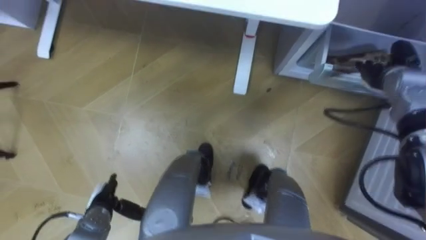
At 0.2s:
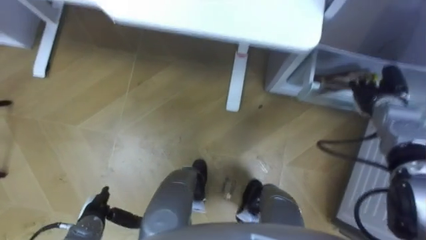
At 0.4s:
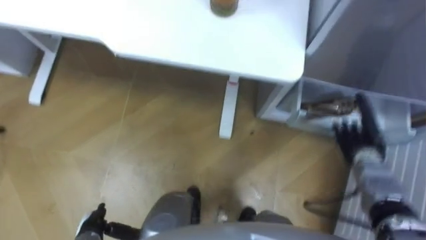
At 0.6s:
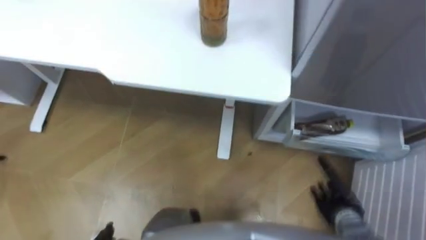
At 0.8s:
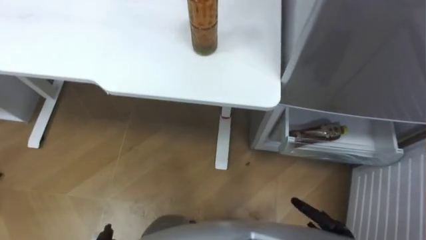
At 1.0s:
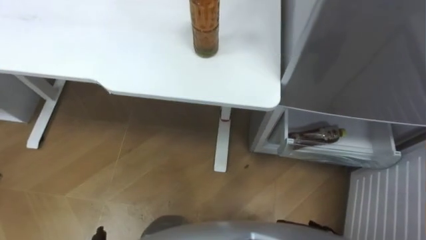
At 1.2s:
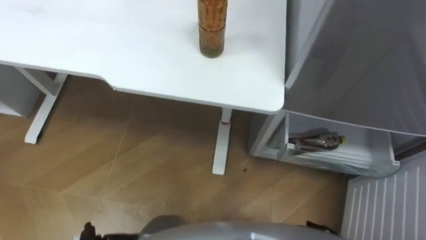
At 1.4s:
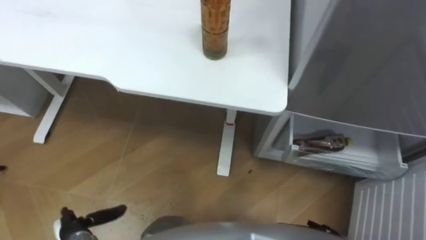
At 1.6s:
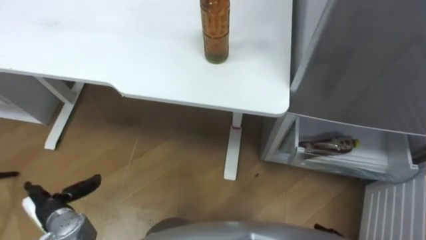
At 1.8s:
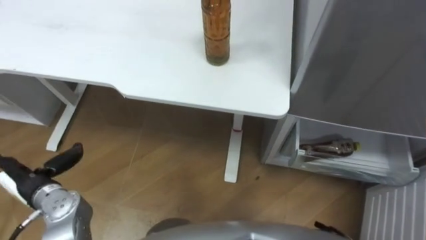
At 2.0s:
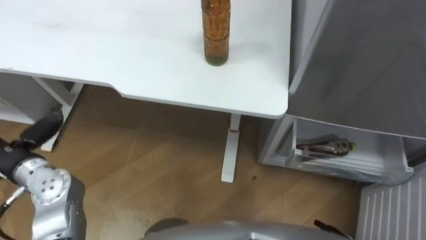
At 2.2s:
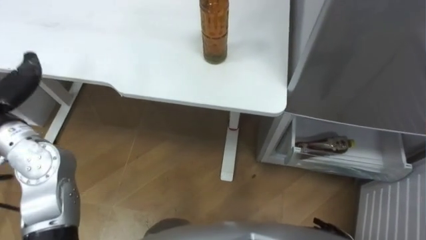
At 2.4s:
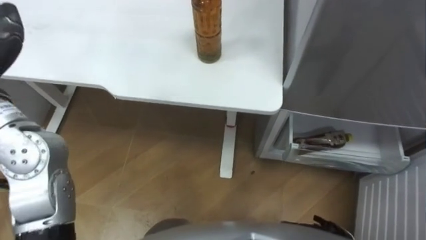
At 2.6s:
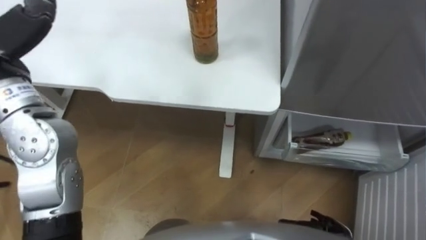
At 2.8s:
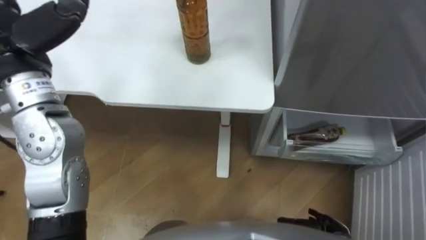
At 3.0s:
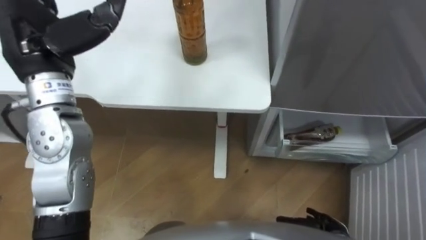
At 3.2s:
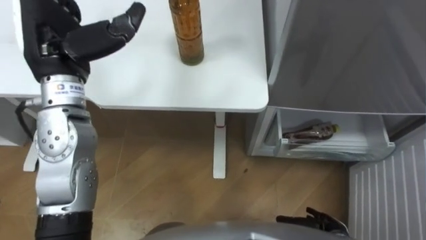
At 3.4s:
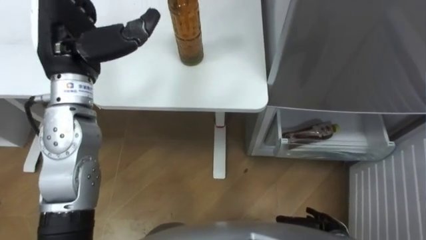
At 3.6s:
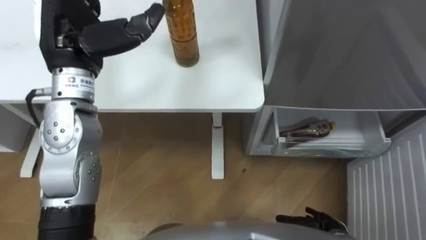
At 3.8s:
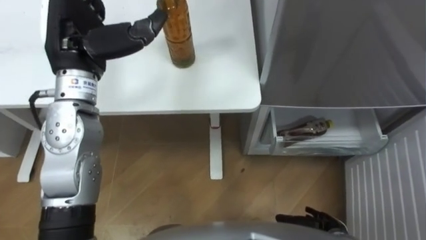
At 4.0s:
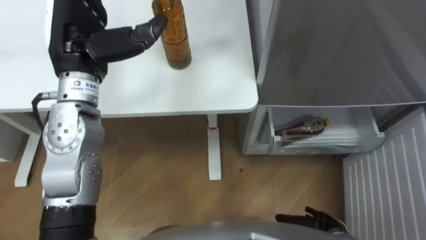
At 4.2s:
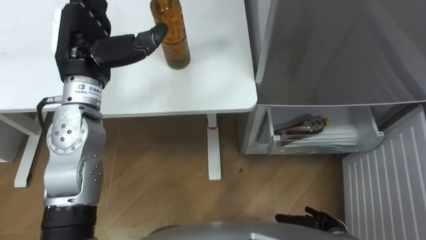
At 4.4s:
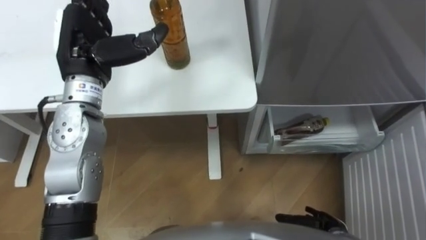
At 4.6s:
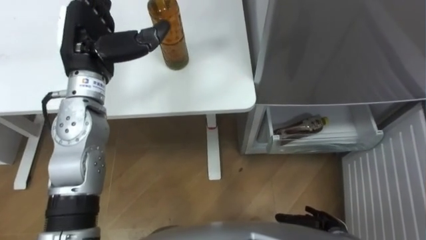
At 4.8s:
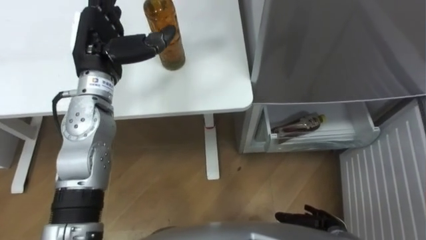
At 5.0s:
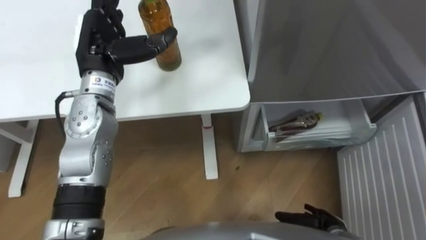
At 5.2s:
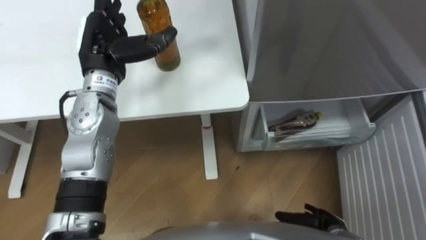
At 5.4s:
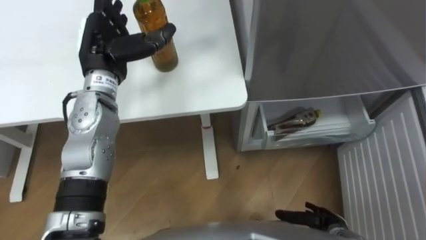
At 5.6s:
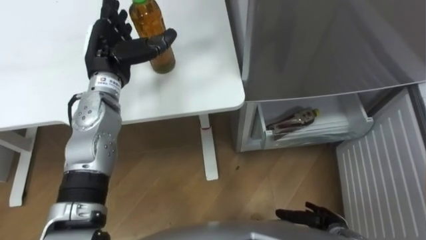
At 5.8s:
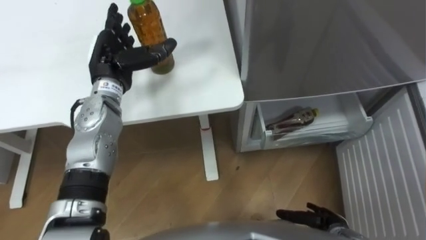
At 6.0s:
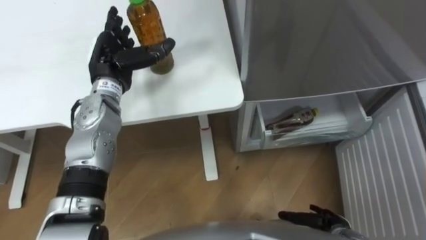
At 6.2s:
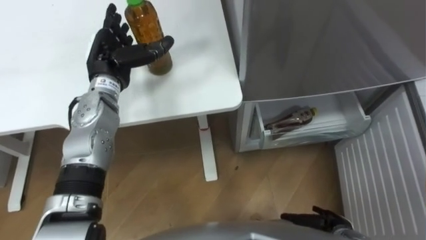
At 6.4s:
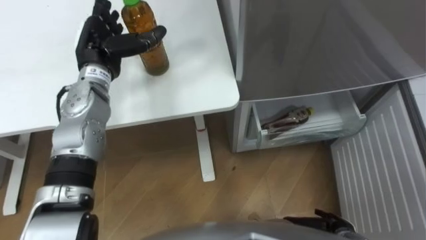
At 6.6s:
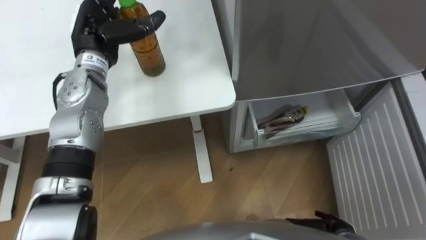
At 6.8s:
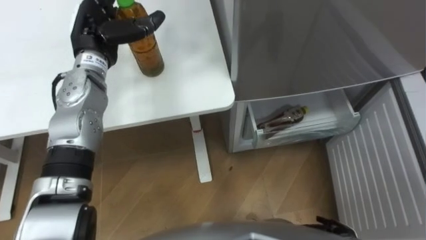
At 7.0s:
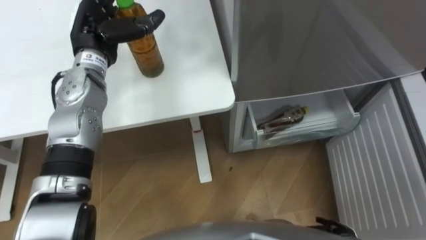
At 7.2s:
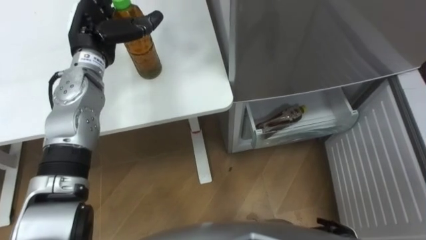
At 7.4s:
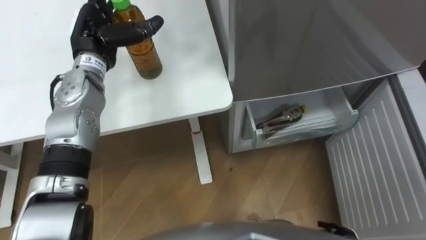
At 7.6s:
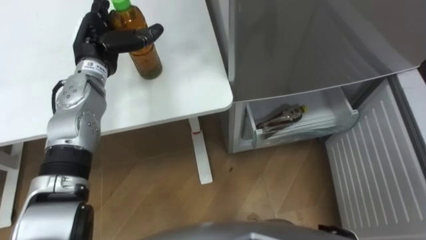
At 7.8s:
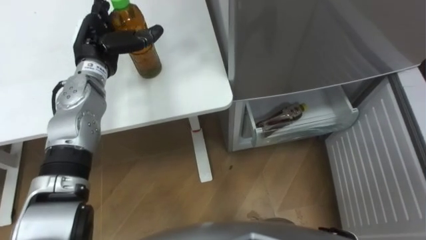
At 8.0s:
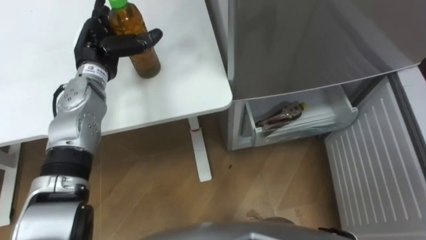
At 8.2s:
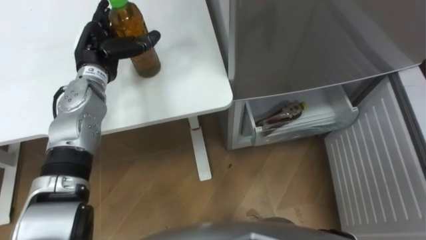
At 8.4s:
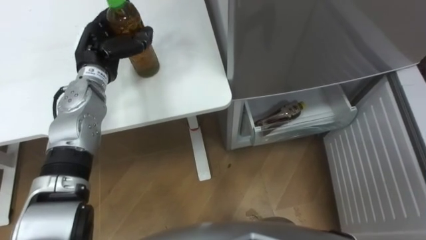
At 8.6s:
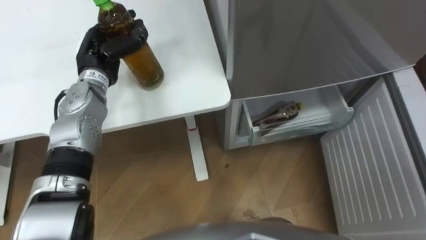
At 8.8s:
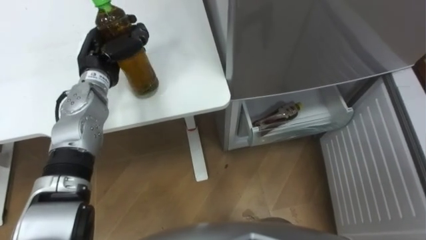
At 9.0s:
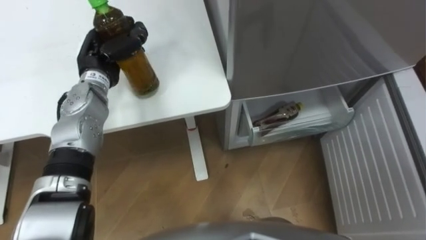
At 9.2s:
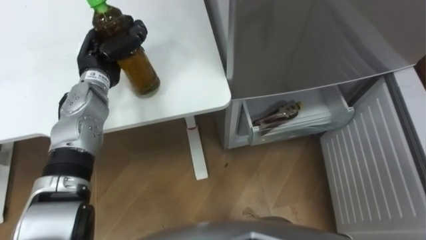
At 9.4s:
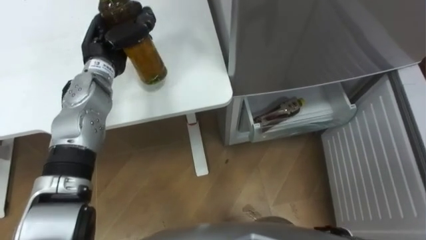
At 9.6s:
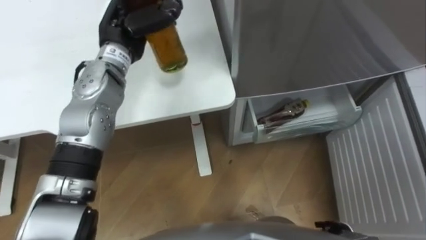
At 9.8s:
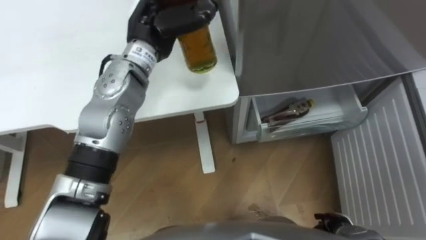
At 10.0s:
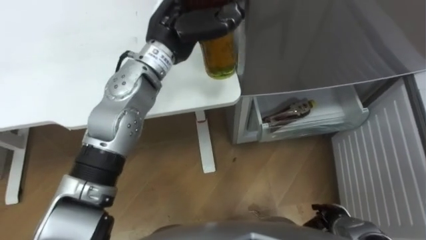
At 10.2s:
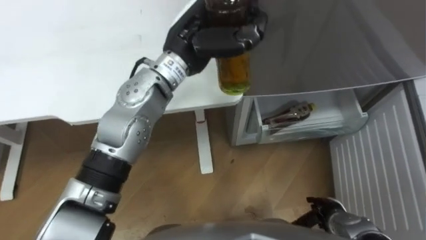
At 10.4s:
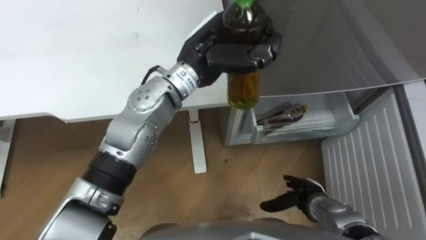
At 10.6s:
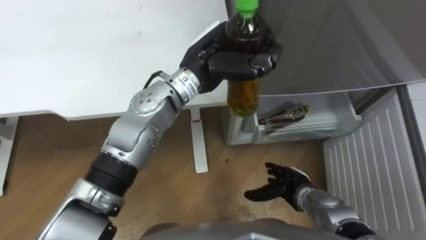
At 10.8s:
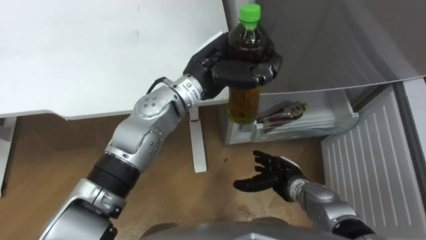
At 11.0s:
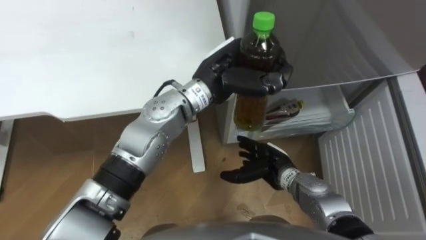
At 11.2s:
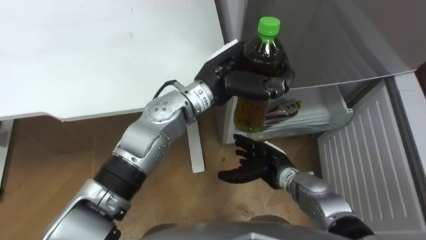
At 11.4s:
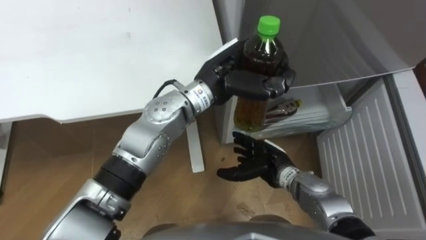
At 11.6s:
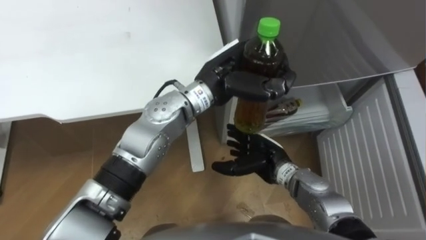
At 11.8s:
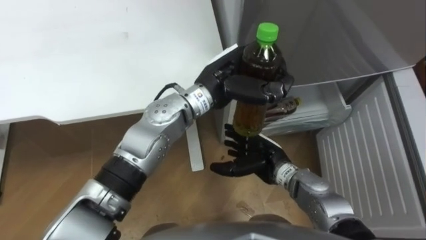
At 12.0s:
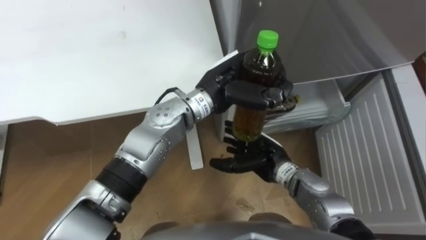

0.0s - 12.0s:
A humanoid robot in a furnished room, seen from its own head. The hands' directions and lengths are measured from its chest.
Task of the whole recording: Place the drink on the table on the bottom shelf of the refrigerator, then close the drawer and the refrigerator door.
3.0s - 4.4s: The left hand shifts by roughly 5 cm.
4.4s - 6.0s: The left hand travels downward by about 10 cm.
7.6s - 9.0s: The left hand closes up.
9.0s - 10.4s: The left hand goes roughly 20 cm to the right.
10.4s - 12.0s: The right hand is displaced to the left, upward and forward by about 15 cm, while the left hand shifts about 5 cm downward.

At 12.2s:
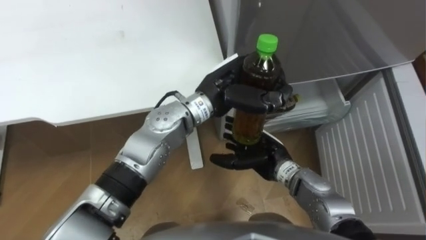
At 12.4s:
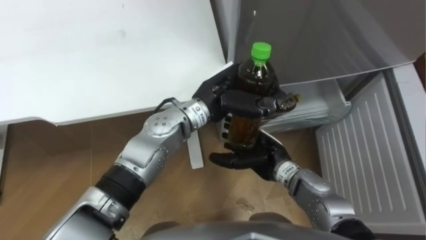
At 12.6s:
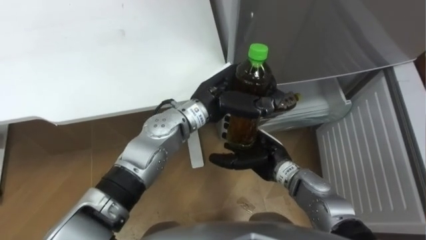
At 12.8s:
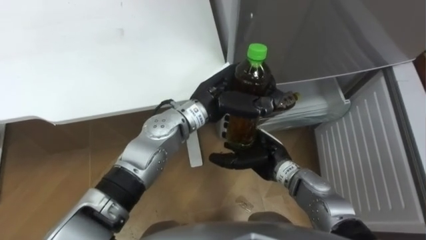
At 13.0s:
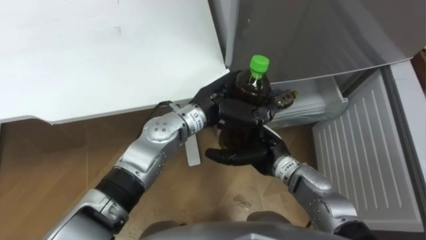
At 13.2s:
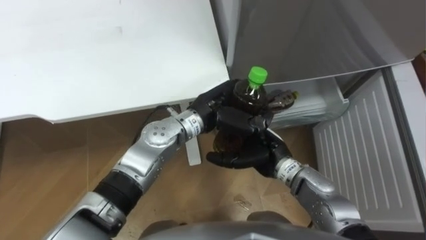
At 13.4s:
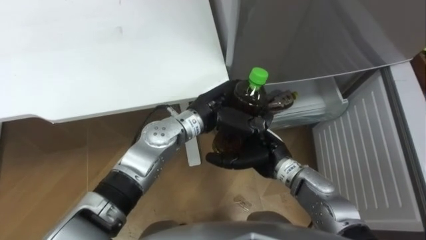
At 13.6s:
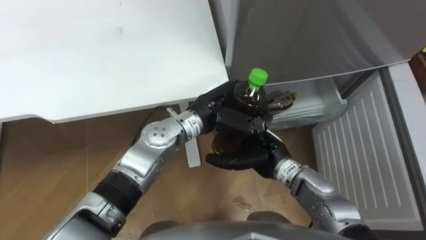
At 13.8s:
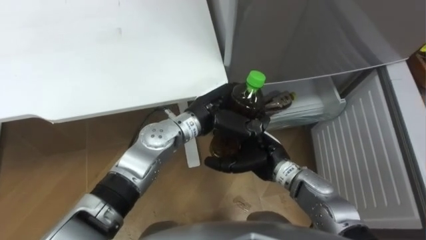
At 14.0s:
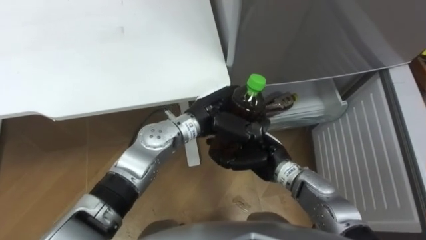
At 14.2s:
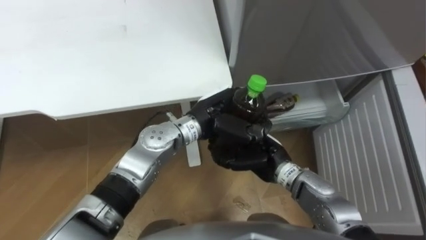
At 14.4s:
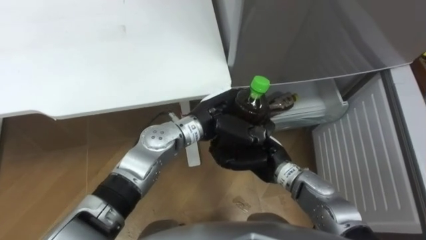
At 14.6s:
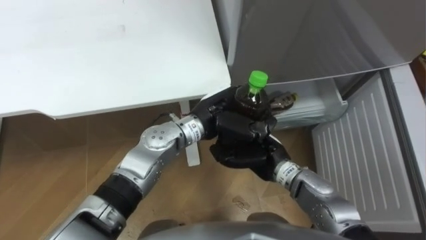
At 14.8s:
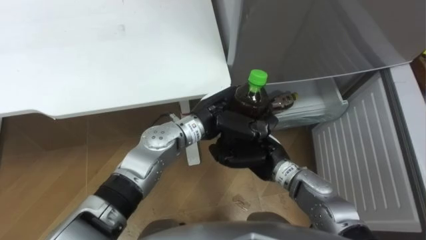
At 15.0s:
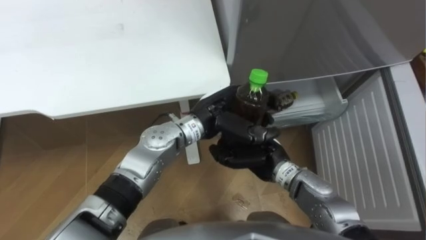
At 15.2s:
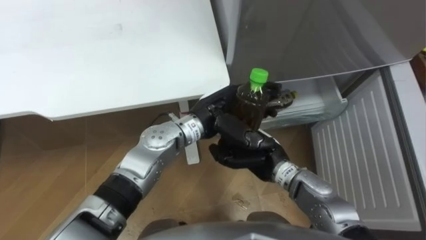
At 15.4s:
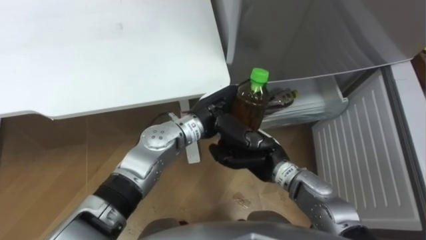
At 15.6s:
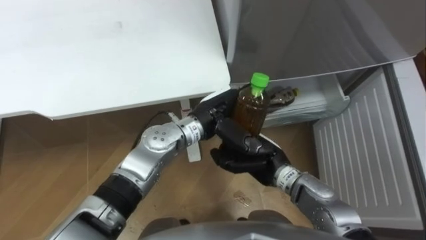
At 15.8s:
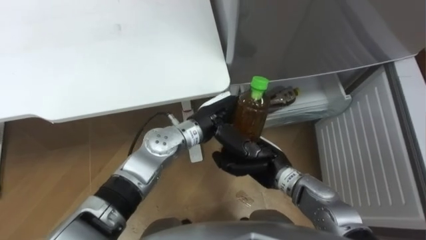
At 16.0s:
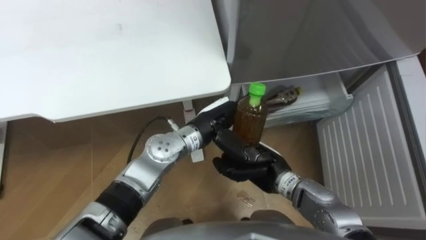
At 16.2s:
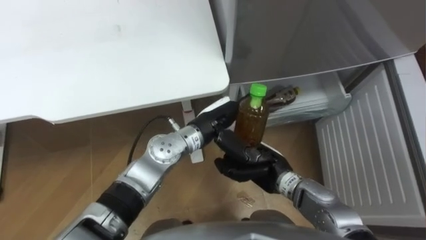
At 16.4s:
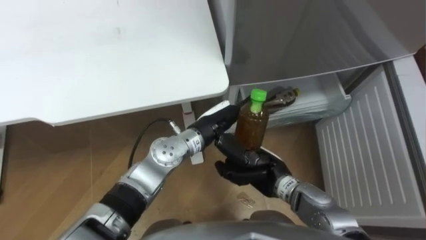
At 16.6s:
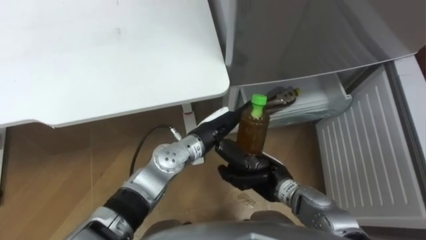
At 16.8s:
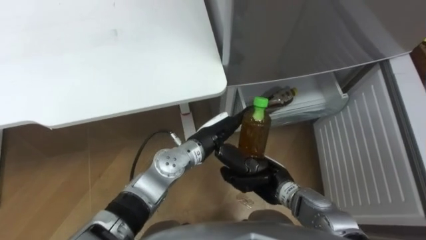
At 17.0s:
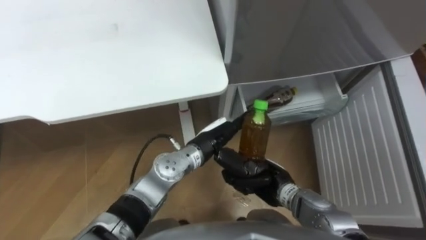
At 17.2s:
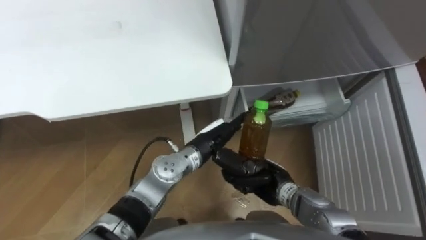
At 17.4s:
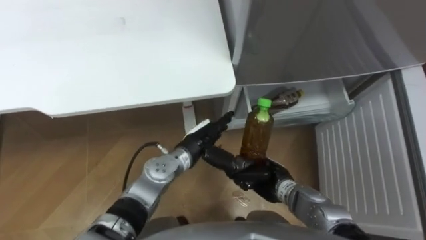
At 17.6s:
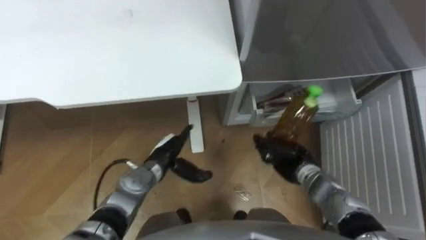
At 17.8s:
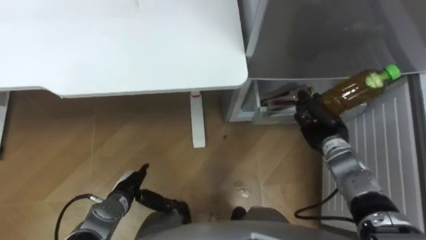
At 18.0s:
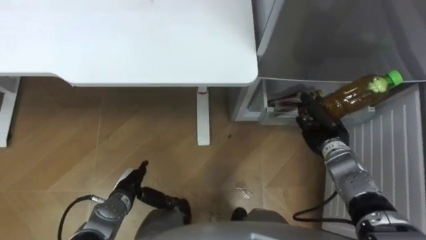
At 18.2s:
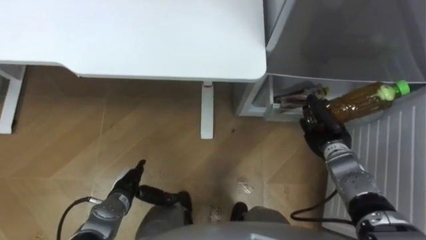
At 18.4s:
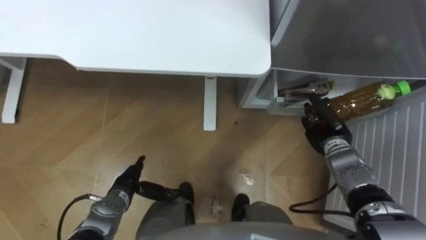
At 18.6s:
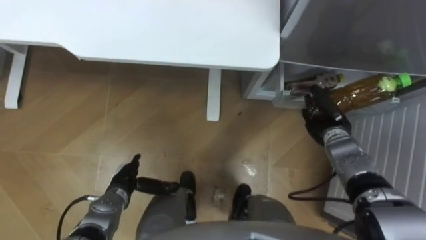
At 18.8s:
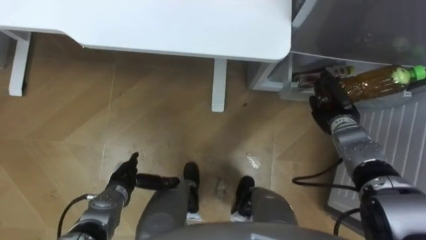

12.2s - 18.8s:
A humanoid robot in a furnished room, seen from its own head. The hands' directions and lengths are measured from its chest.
Task of the whole recording: Place the drink on the table on the bottom shelf of the refrigerator, then close the drawer and the refrigerator door.
12.2s - 13.8s: The left hand moves downward, roughly 5 cm.
13.8s - 15.4s: The left hand opens up; the right hand closes its fingers.
15.4s - 17.2s: Both hands travel together downward, approximately 10 cm.
17.2s - 18.8s: The left hand moves to the left and downward, about 20 cm, while the right hand travels to the right and forward by roughly 20 cm.
